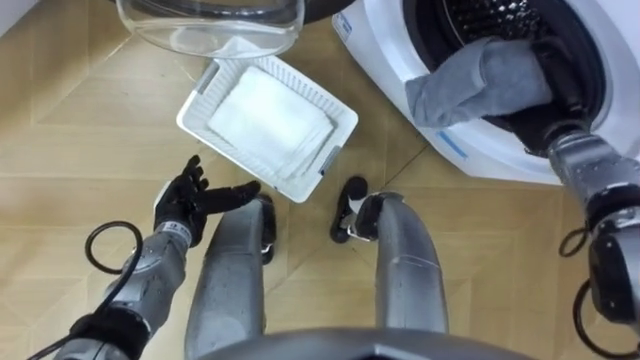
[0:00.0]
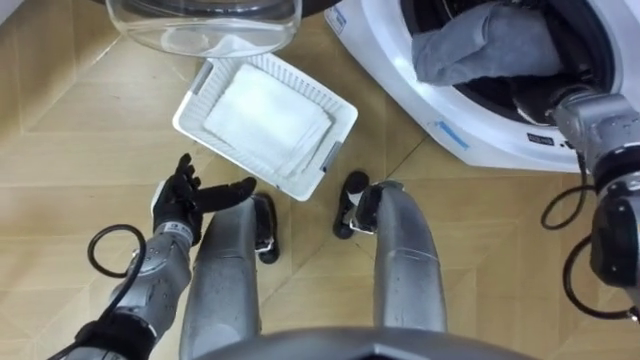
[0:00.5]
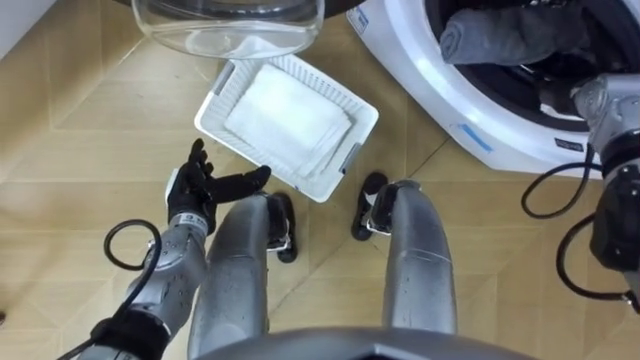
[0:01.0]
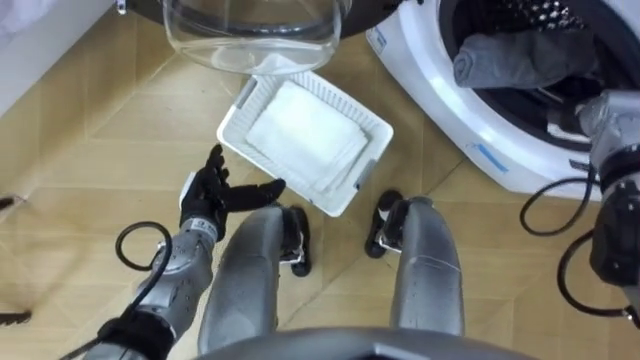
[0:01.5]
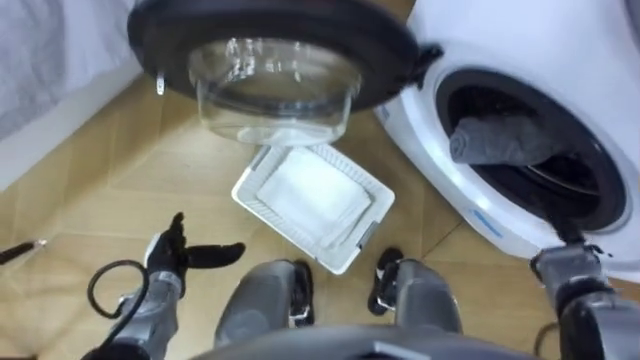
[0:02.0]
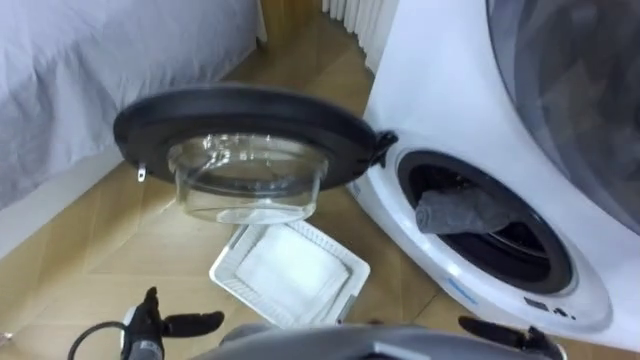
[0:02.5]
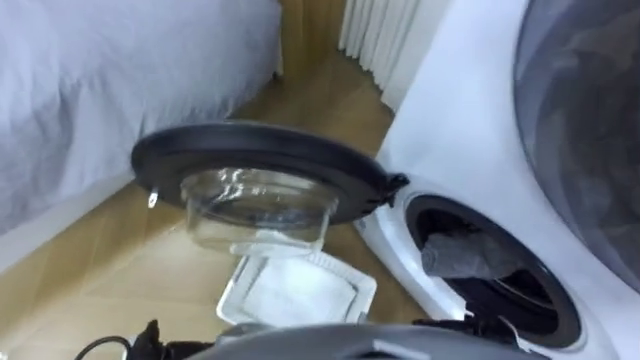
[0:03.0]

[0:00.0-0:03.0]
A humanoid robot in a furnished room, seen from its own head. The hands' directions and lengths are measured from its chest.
Task of the whole recording: Take the towel from the basket and put it into the washing machine.
0:00.0 to 0:01.5: The right hand opens up.
0:01.5 to 0:03.0: The left hand travels backward, downward and to the left by roughly 25 cm.

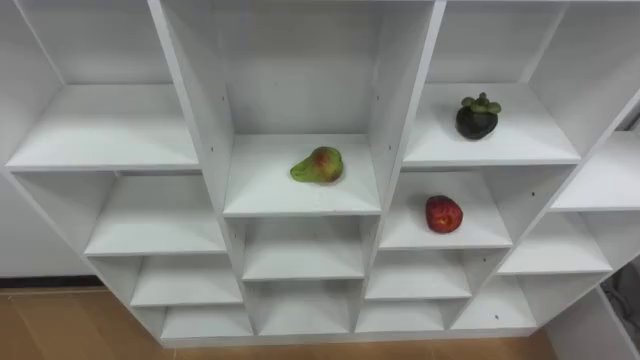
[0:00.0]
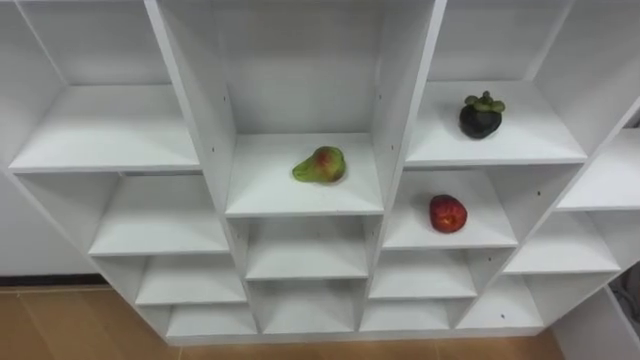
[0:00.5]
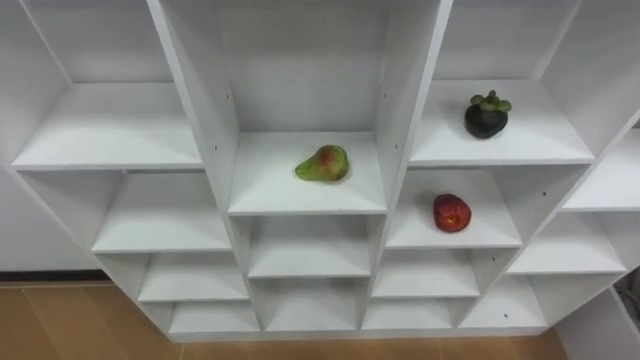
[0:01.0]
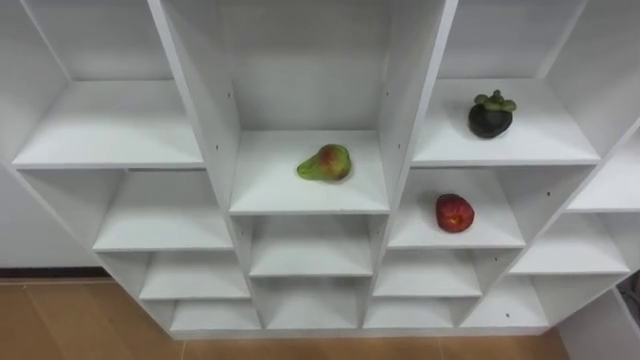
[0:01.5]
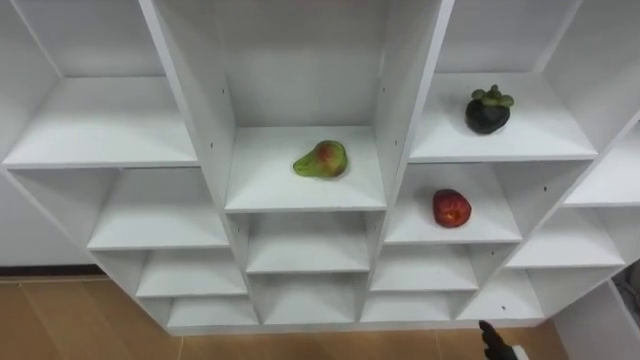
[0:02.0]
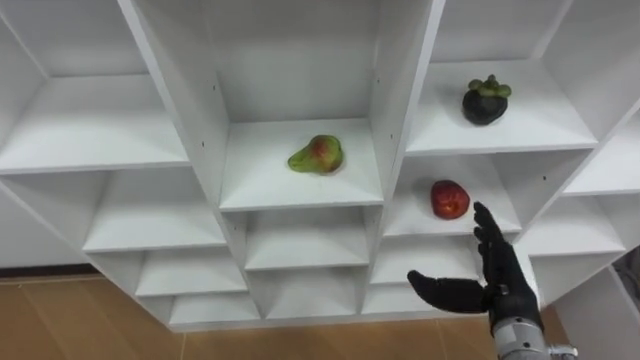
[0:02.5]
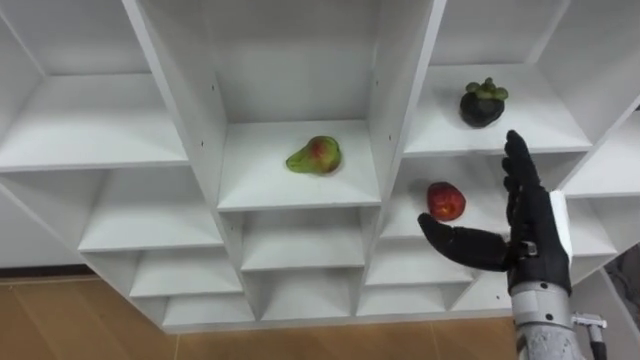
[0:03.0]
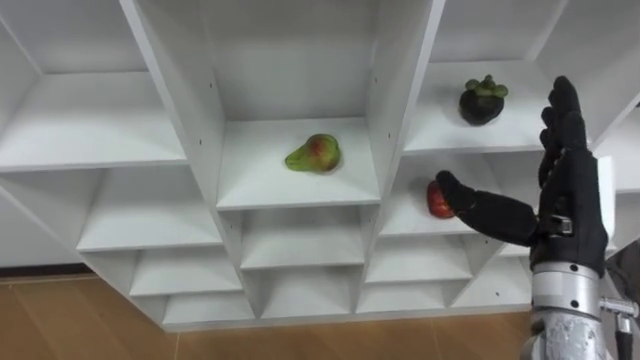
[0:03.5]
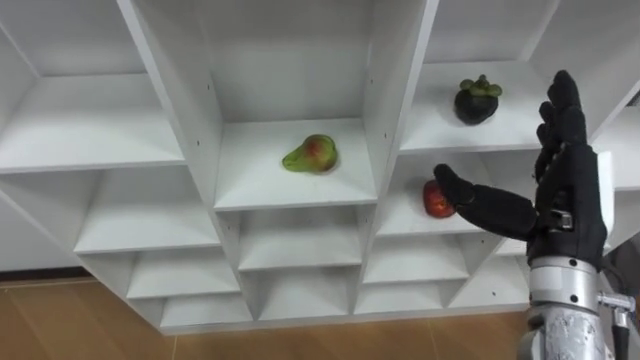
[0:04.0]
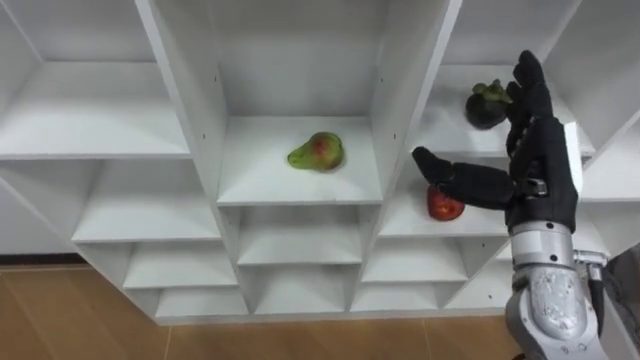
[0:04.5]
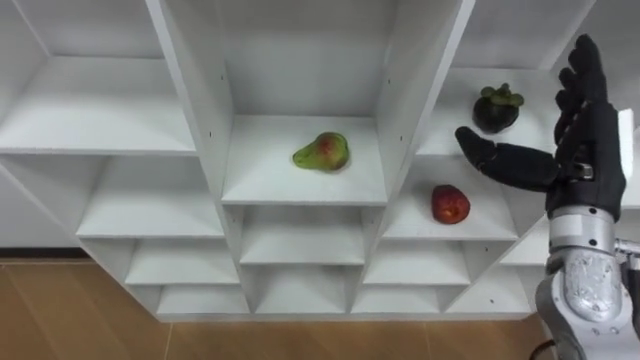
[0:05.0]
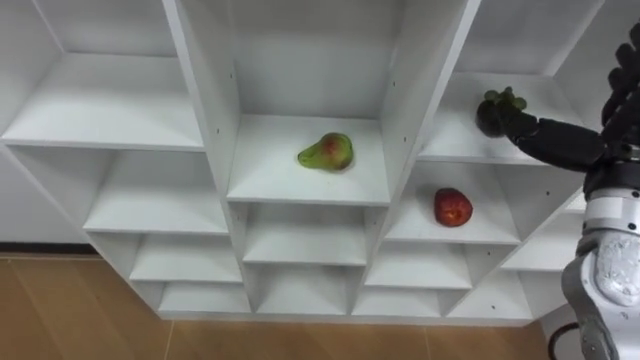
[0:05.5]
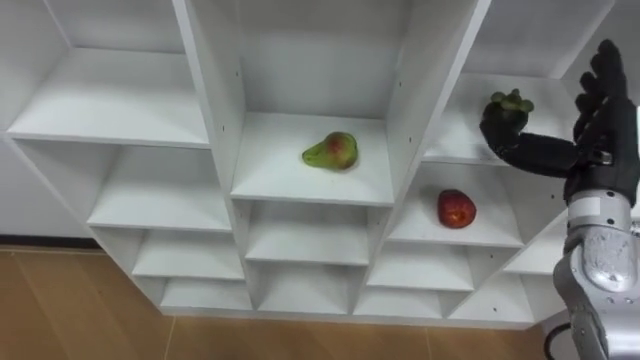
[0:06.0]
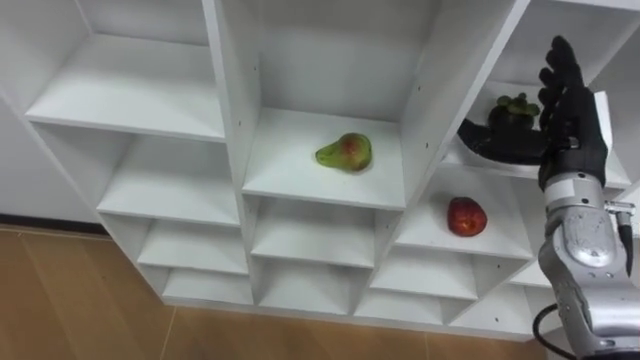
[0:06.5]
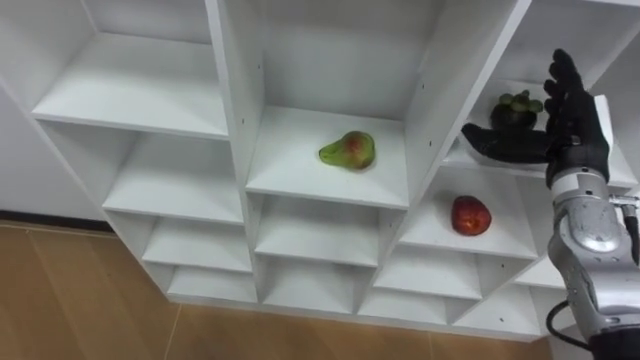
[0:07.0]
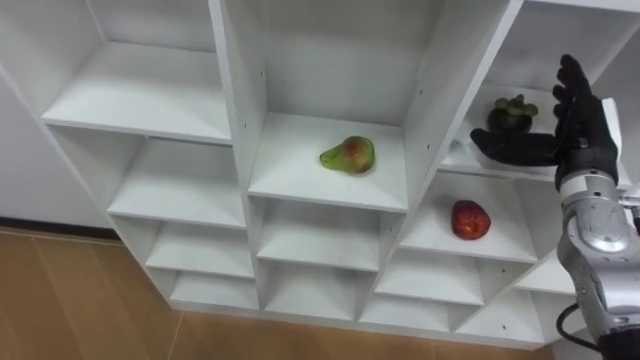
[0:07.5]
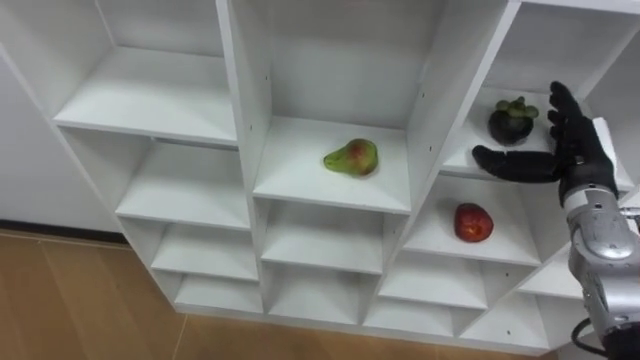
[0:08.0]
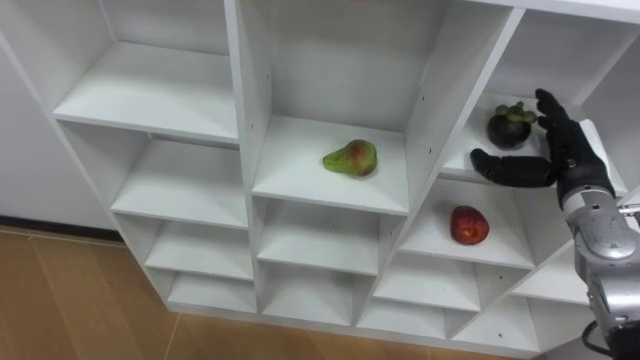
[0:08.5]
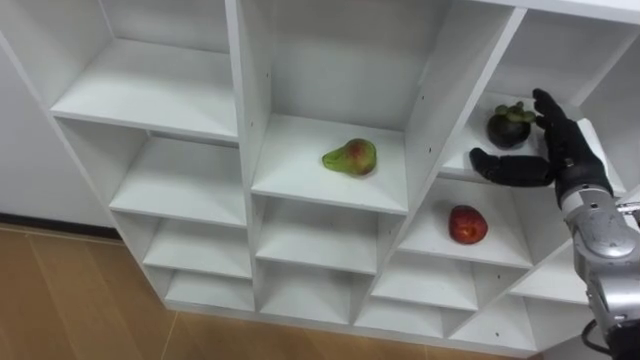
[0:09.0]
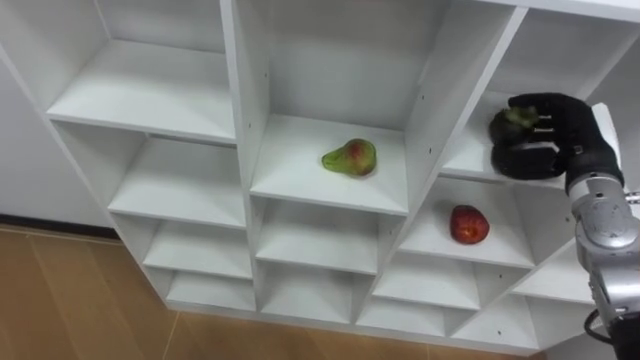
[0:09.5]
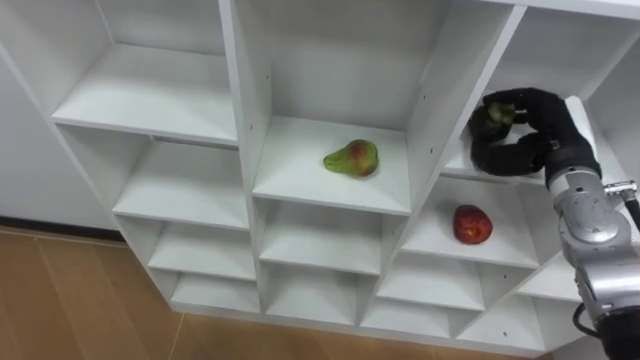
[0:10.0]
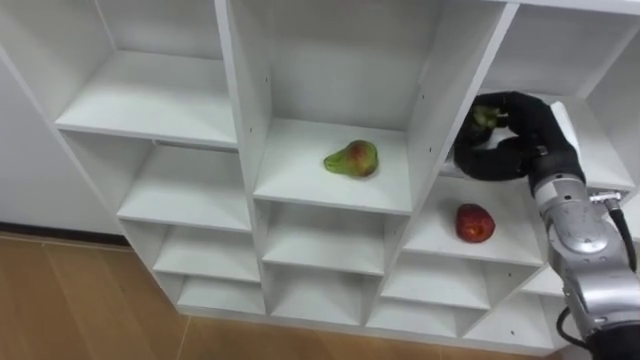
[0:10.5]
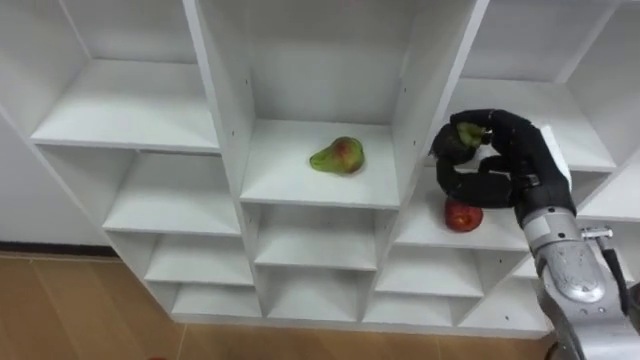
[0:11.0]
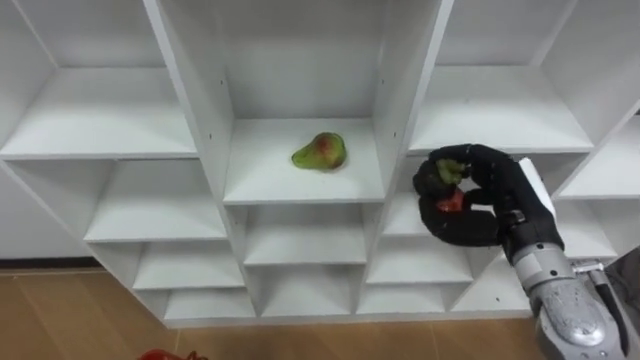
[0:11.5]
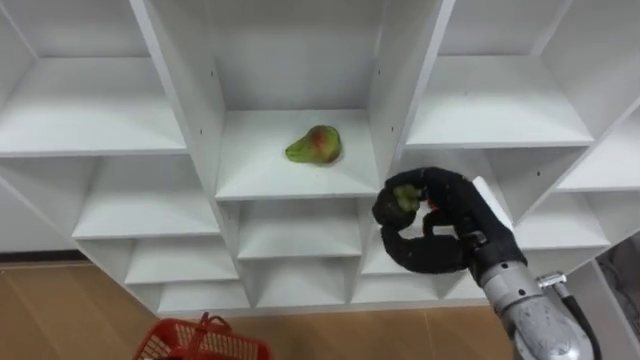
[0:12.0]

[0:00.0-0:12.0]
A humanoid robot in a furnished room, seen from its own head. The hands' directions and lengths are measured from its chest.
Task of the whole recording: Hold the basket and collect the fruits from 3 different cells of the closet into it.
0:04.0 to 0:06.0: The right hand goes about 10 cm forward and to the right.
0:06.0 to 0:08.0: The right hand goes some 5 cm downward.
0:08.0 to 0:10.0: The right hand closes its fingers.
0:10.0 to 0:12.0: The right hand goes about 15 cm to the left and backward.

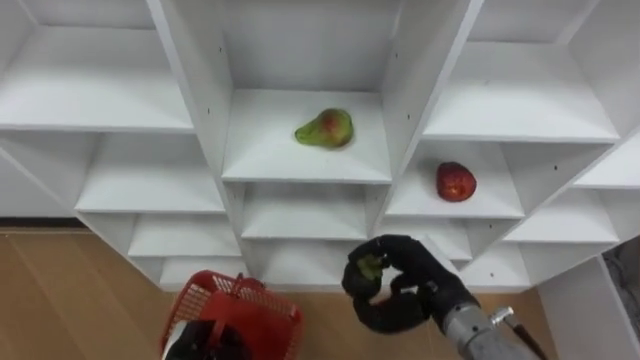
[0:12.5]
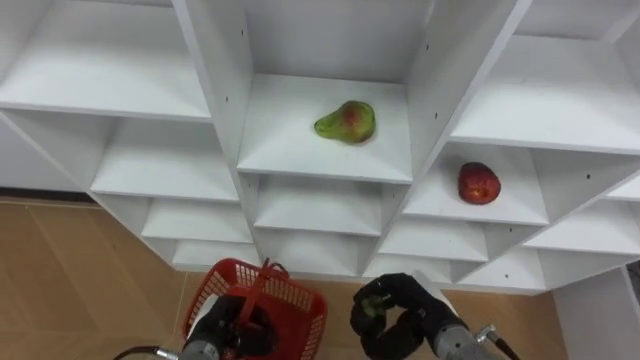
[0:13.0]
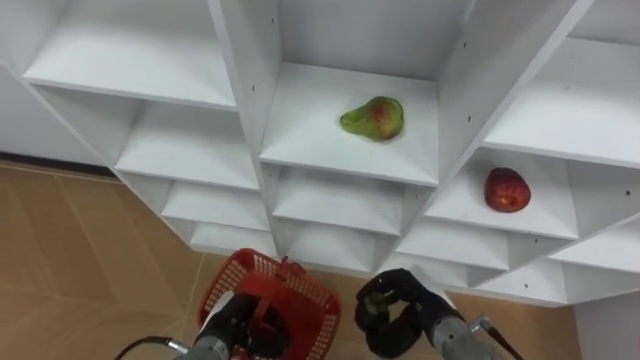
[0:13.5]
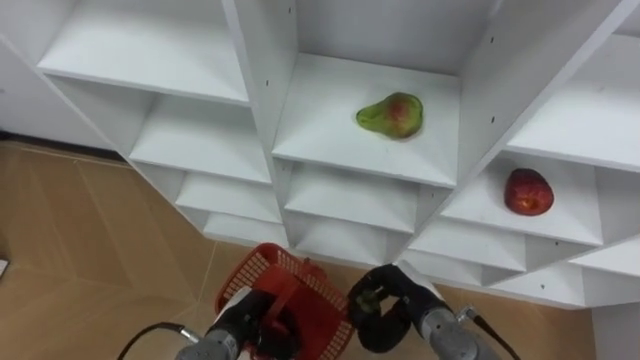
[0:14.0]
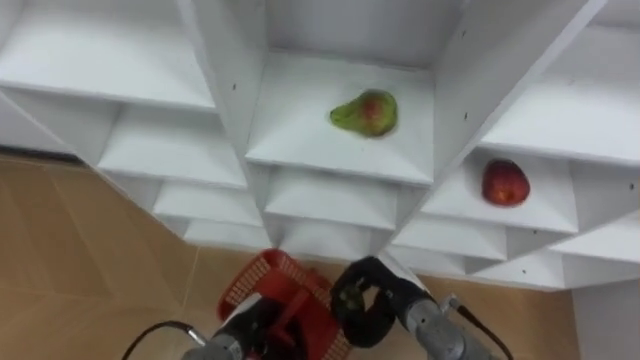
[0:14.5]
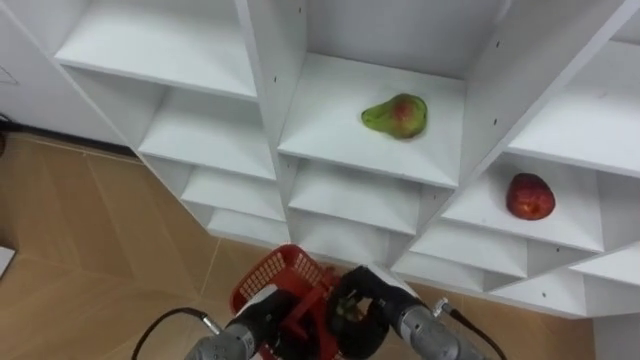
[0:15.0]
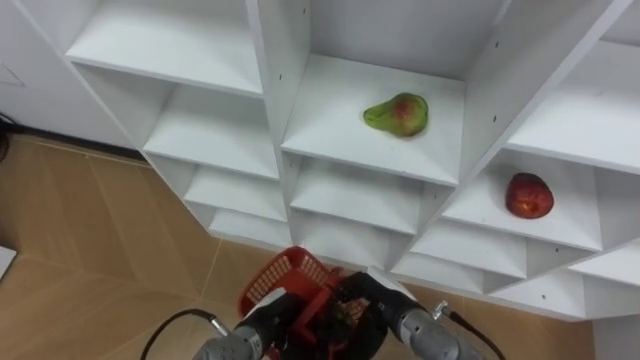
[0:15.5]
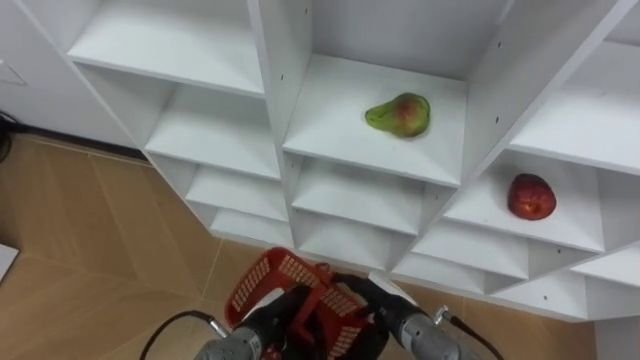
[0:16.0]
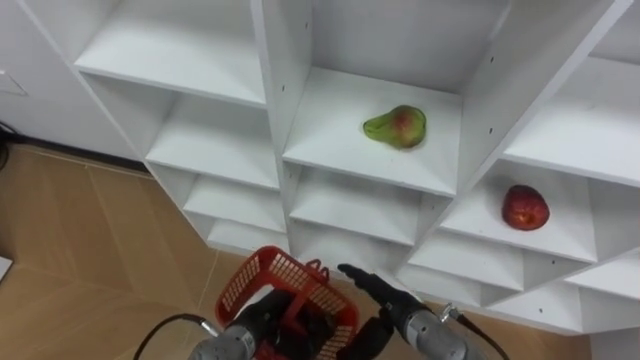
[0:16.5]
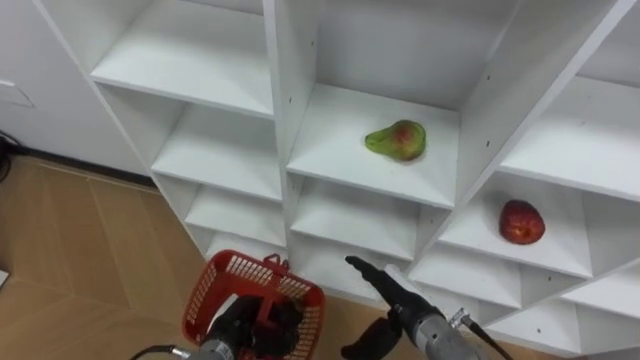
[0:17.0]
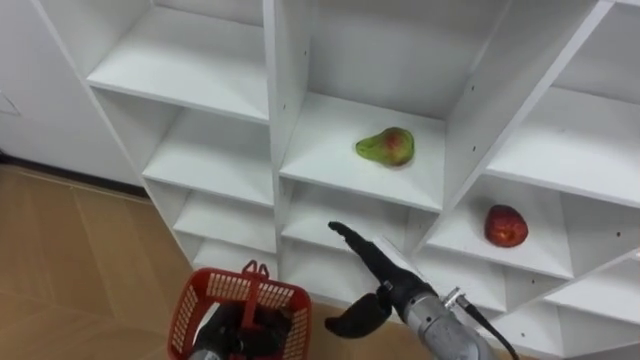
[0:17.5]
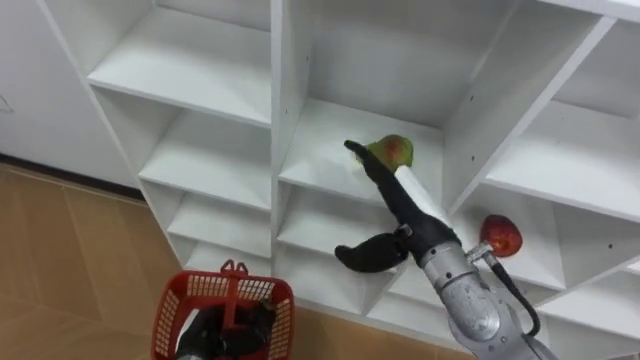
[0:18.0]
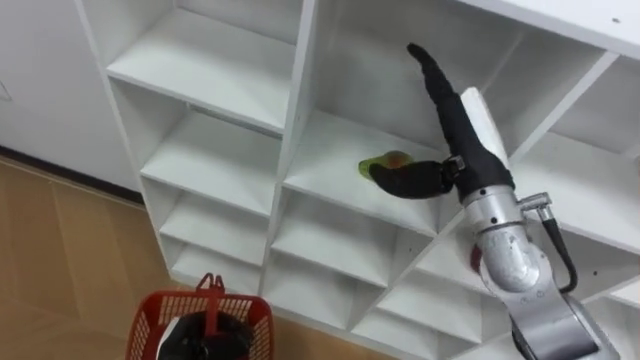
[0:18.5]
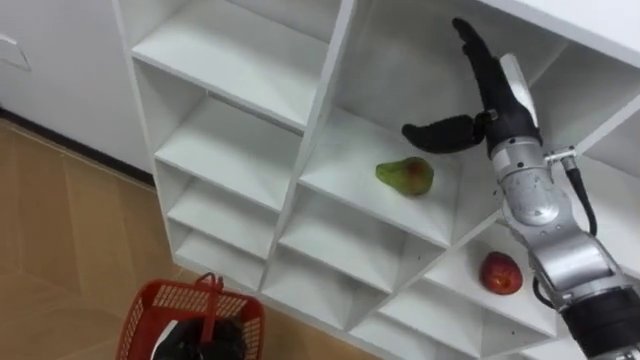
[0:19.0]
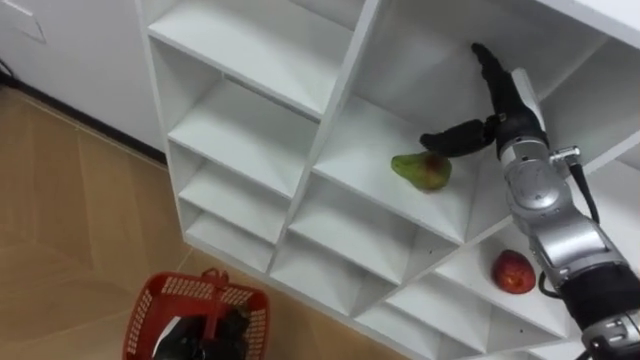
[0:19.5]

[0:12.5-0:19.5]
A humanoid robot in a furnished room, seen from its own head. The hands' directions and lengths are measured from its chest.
Task of the whole recording: Hold the basket and collect the fruits from 3 different cells of the closet into it.
0:12.5 to 0:14.5: The left hand travels to the right by some 10 cm, while the right hand shifts about 5 cm downward.
0:14.5 to 0:16.0: The right hand opens up.
0:16.0 to 0:17.5: The left hand travels to the left by some 5 cm. The right hand moves upward, some 5 cm.
0:17.5 to 0:19.5: The left hand is displaced to the left by some 5 cm. Meanwhile the right hand is displaced forward, upward and to the right by about 25 cm.
